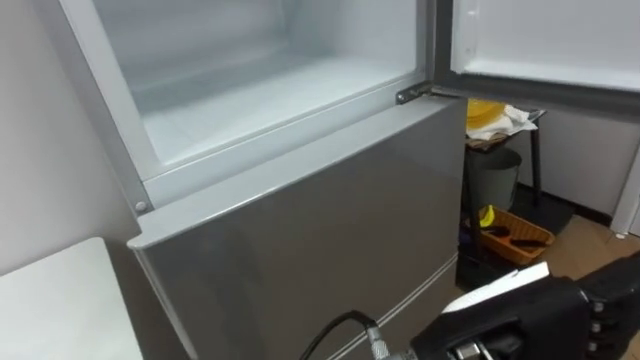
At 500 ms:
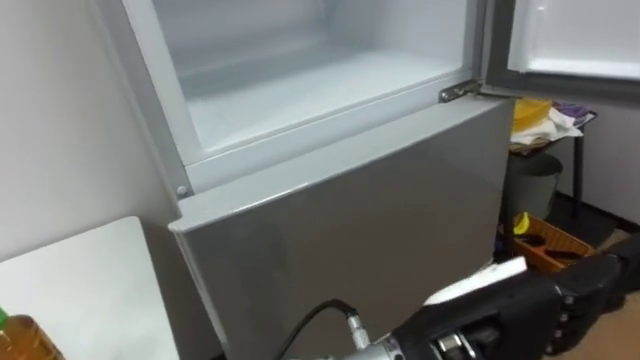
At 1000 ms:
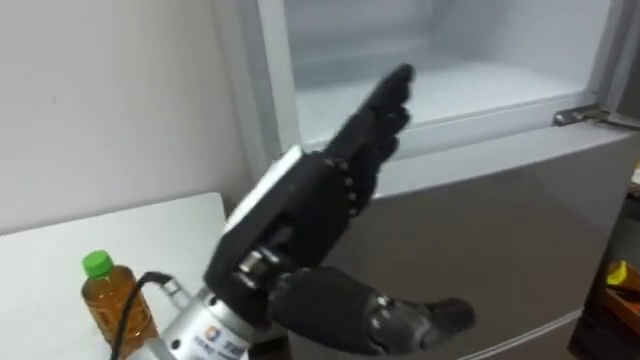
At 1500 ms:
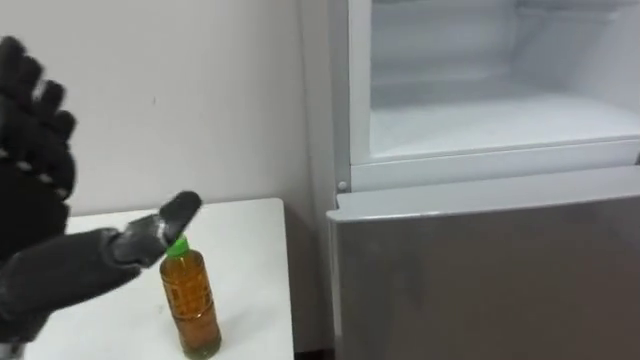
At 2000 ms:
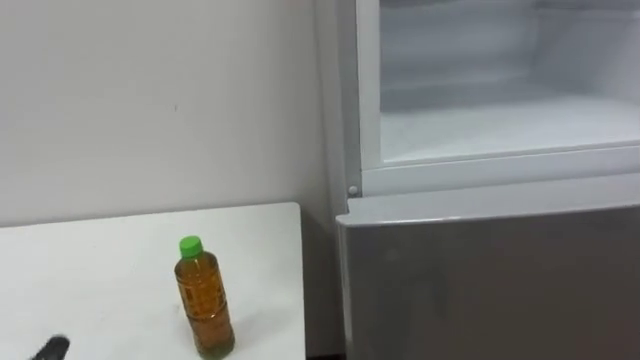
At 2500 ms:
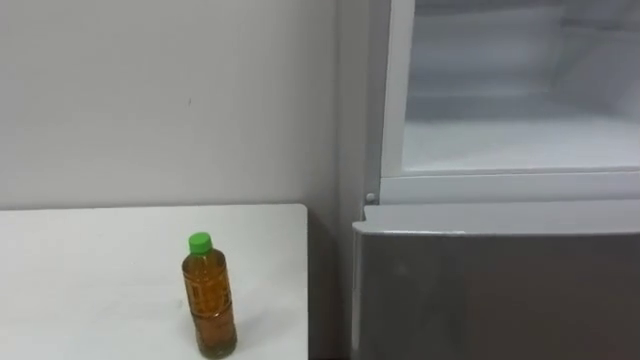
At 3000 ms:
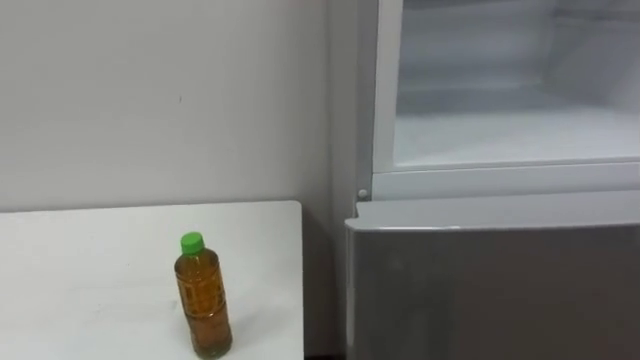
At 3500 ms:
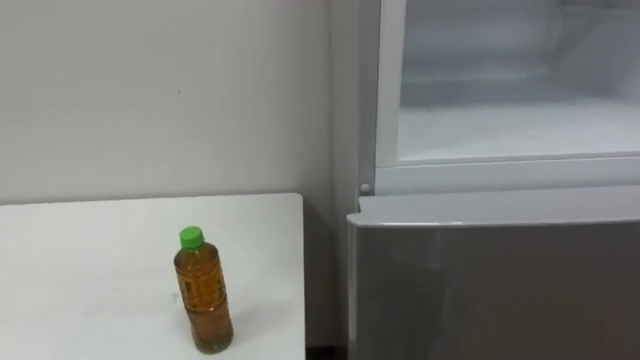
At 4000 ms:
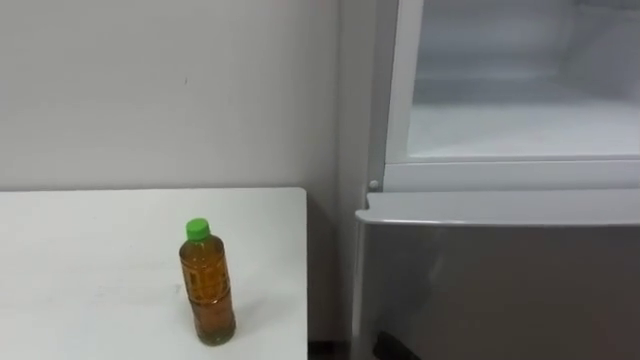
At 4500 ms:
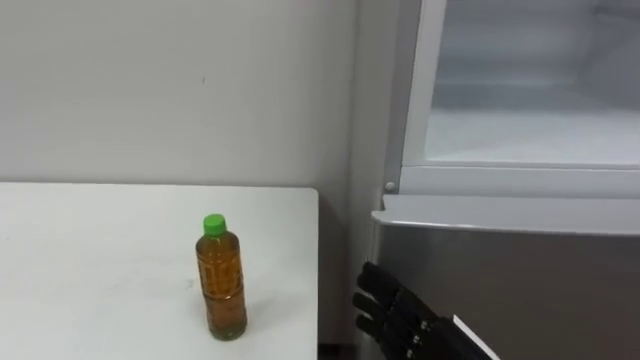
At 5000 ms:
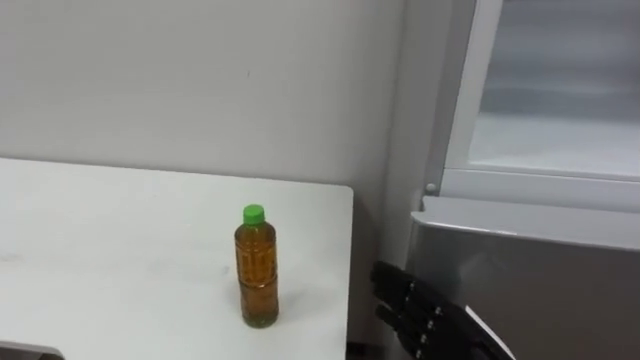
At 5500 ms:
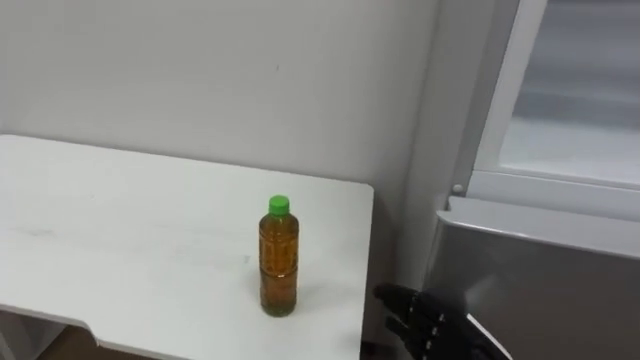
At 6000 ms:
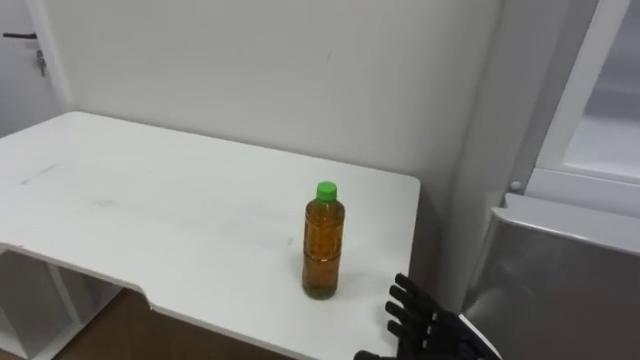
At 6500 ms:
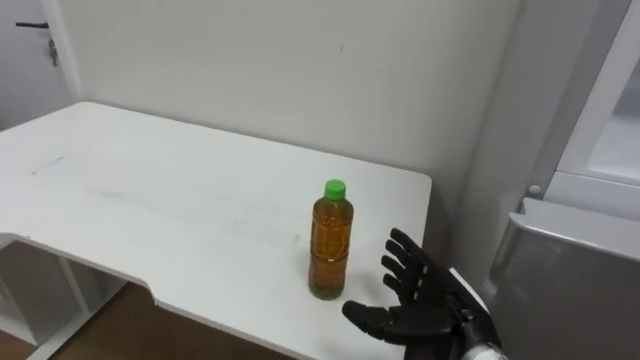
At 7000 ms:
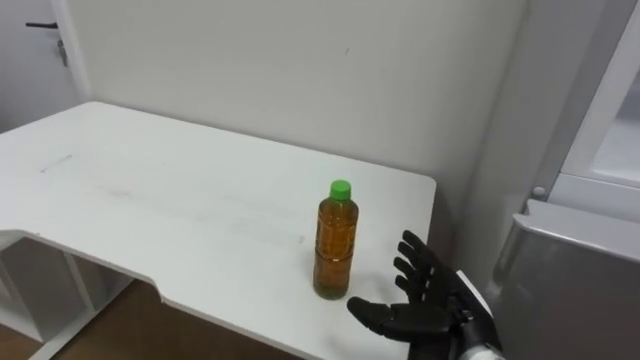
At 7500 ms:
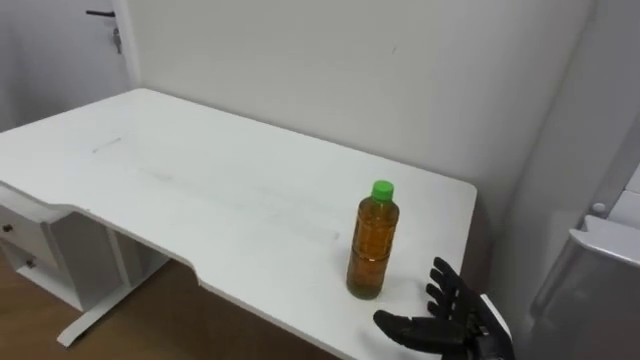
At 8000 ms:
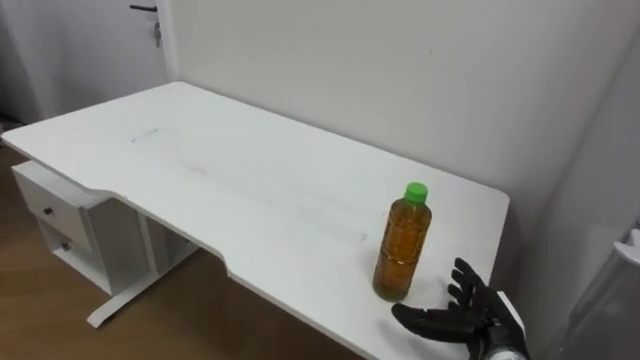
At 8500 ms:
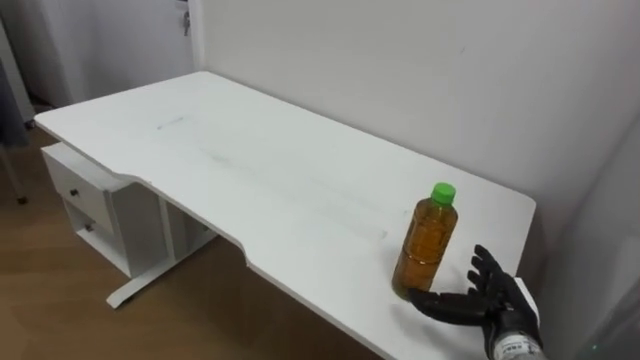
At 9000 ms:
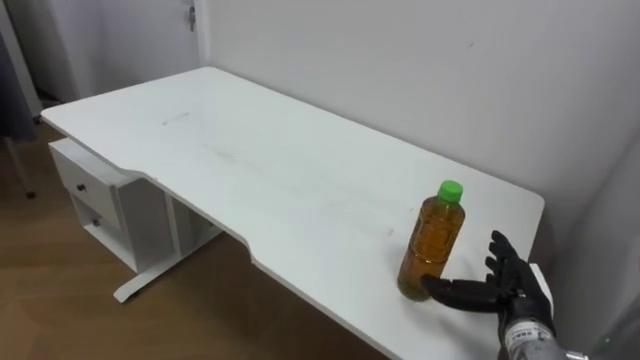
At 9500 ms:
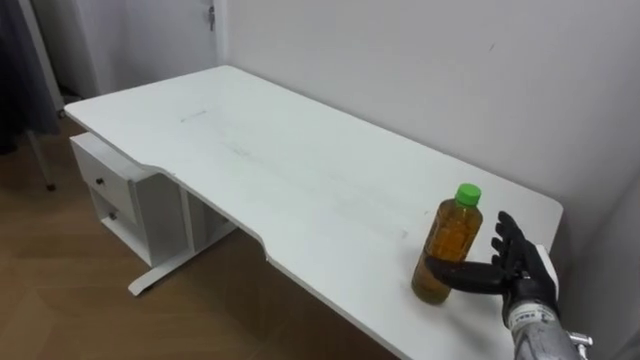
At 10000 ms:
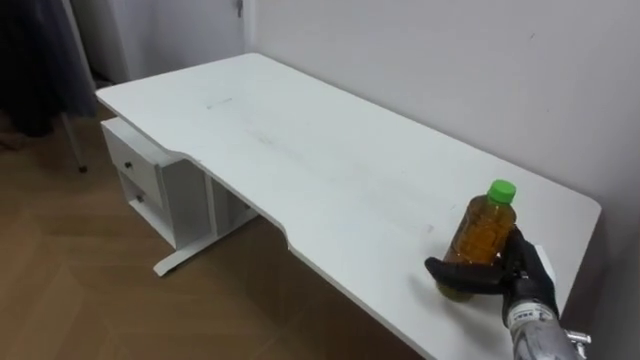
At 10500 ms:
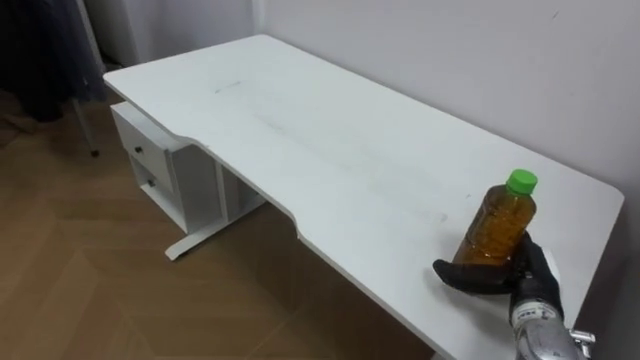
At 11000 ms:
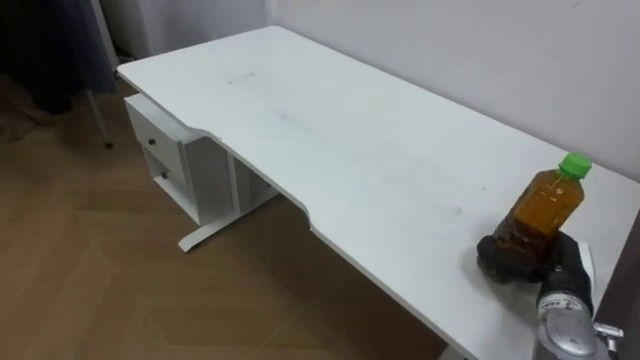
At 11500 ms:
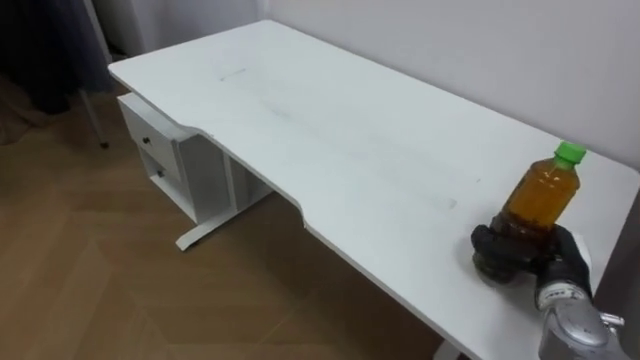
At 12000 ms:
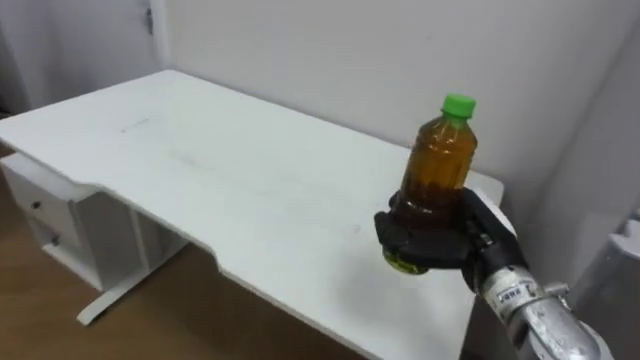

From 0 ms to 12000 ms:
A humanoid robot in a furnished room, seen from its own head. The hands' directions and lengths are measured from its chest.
Task of the whole recording: Open the upper refrigerator door, put the drink from the table into the refrigerator, and then close the refrigerator door.
From 6000 ms to 8000 ms: The right hand travels forward by roughly 5 cm.
From 8000 ms to 10000 ms: The right hand ends up approximately 5 cm from where it was.
From 10000 ms to 12000 ms: The right hand moves upward and to the left, approximately 10 cm, and closes.

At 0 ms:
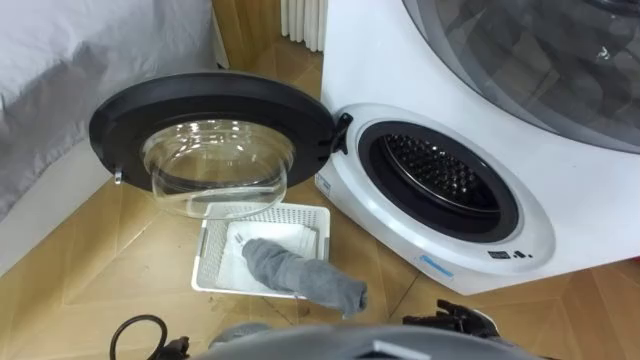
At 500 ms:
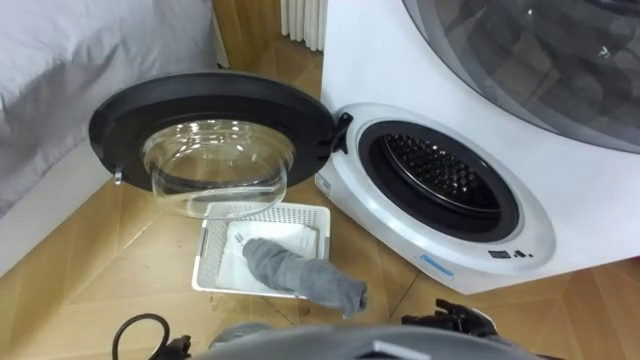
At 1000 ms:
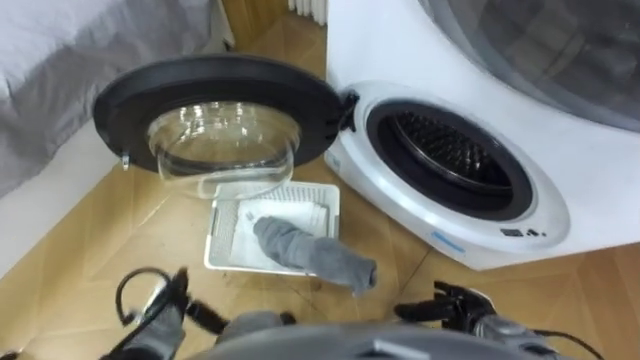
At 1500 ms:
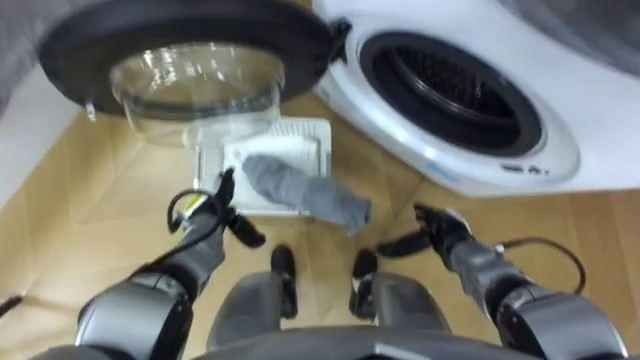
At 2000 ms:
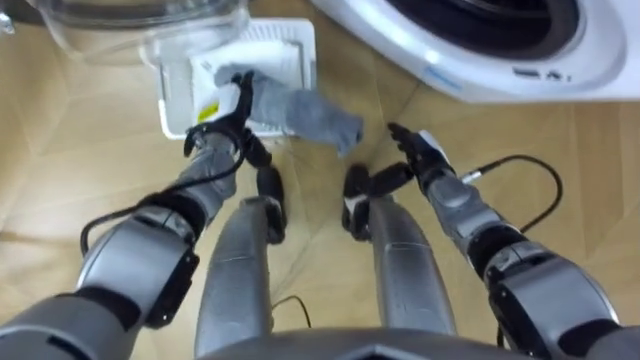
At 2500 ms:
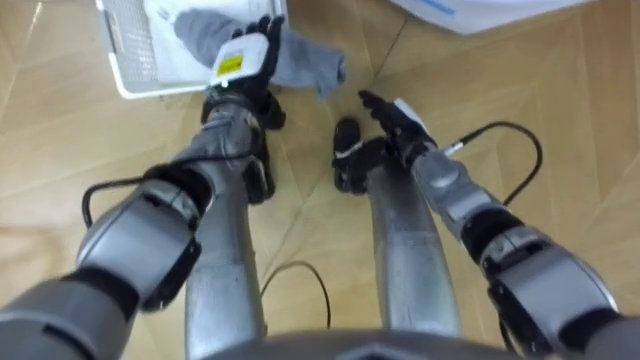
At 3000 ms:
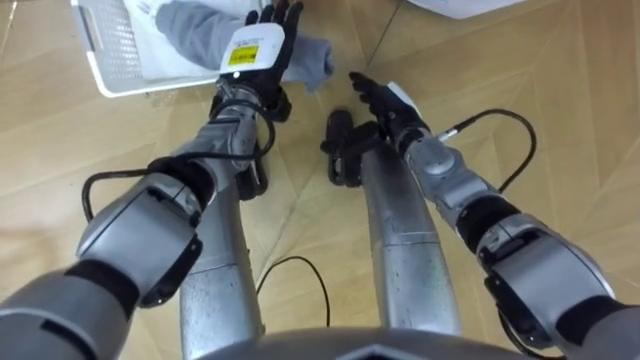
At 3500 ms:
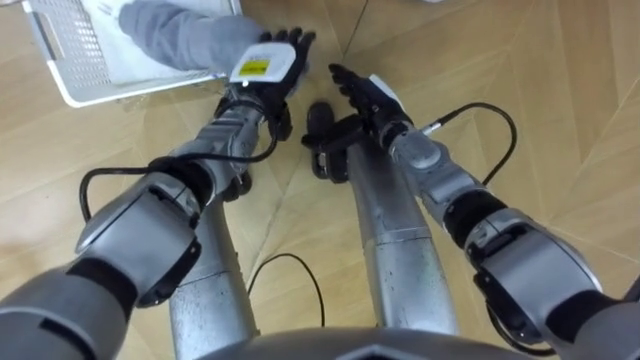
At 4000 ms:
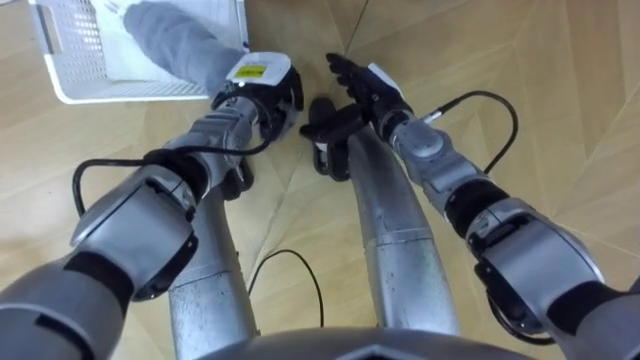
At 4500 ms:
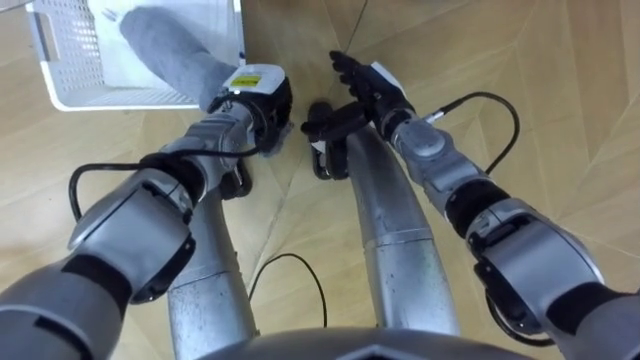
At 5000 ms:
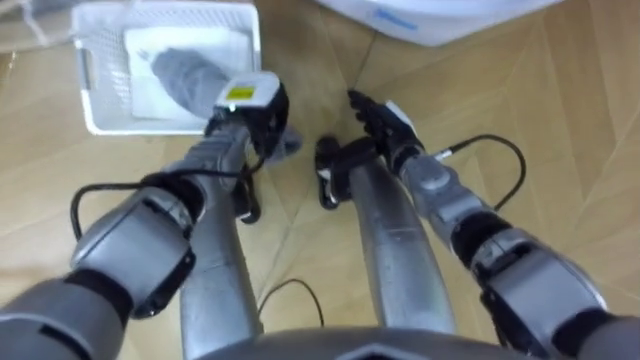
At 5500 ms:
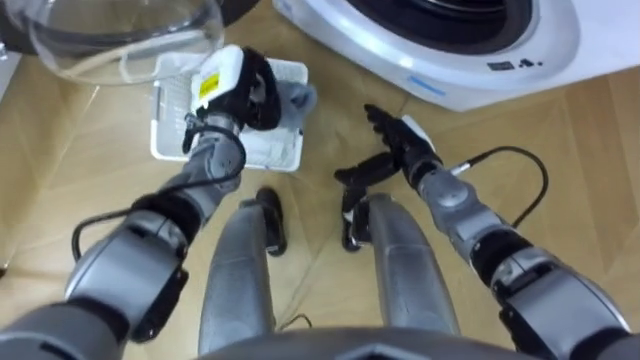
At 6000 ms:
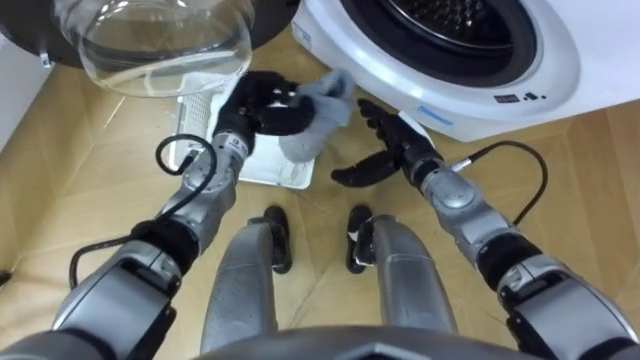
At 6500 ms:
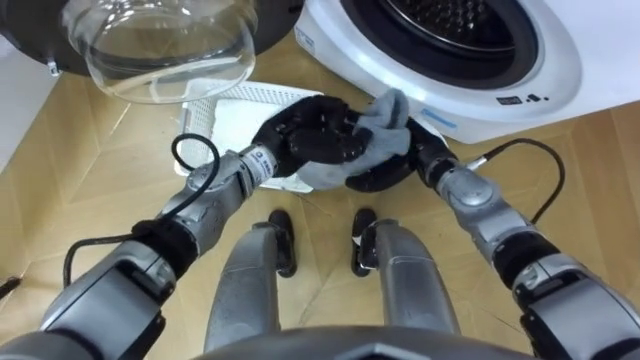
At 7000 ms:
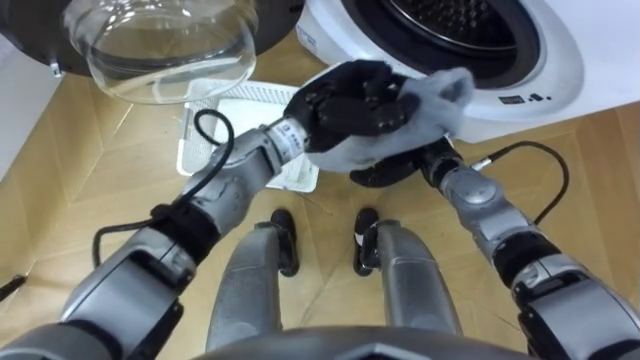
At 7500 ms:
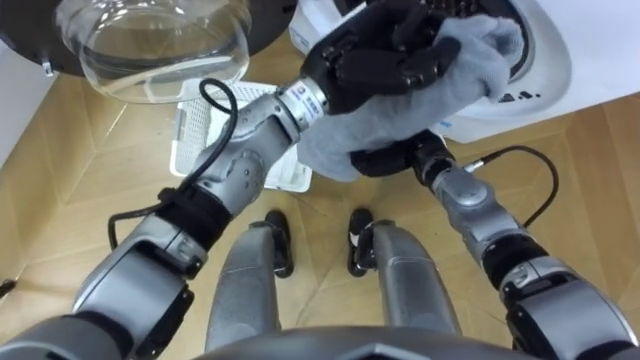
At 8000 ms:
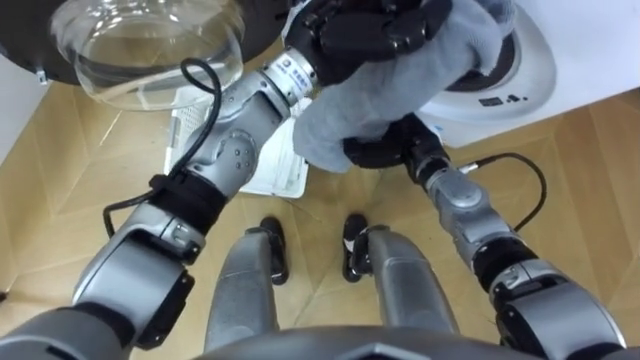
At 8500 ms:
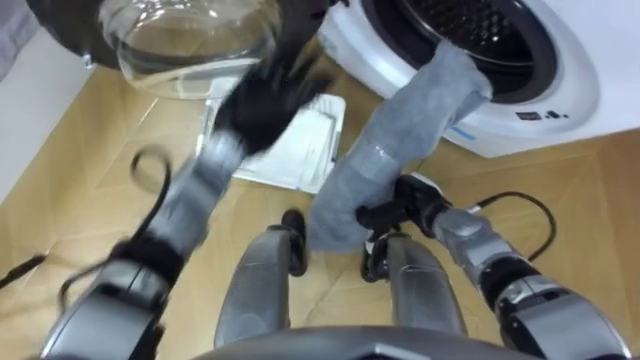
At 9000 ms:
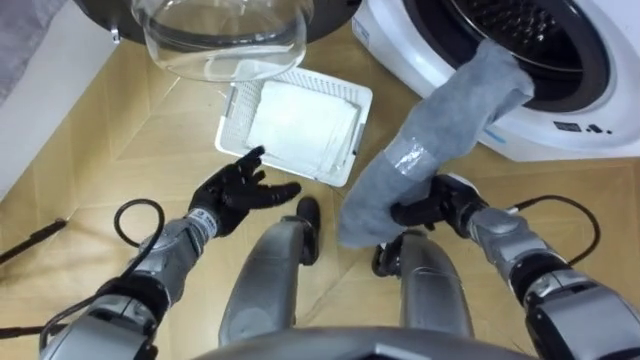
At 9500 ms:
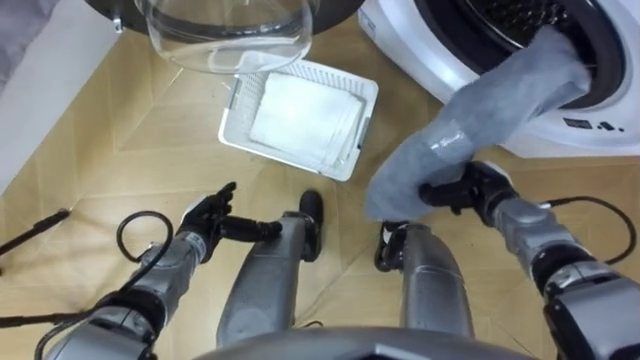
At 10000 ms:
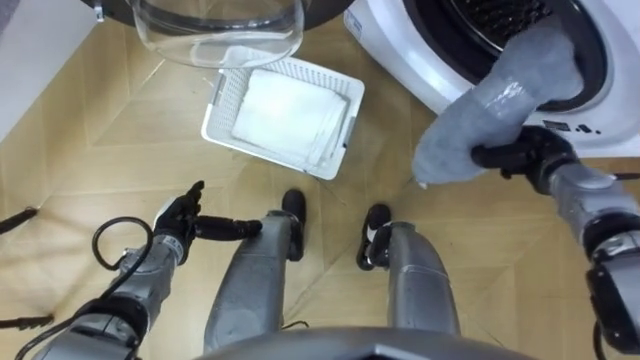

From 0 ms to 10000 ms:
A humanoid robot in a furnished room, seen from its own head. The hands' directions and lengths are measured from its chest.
Task of the whole recording: Take the towel from the basket and put it into the washing machine.
From 2000 ms to 4000 ms: The right hand heads upward, to the left and forward, covering approximately 15 cm. The left hand moves to the right, approximately 5 cm, and closes its fingers.
From 4000 ms to 6000 ms: The right hand is displaced to the right by some 5 cm.
From 6000 ms to 8000 ms: The right hand closes. Meanwhile the left hand moves upward and to the right, roughly 20 cm.
From 8000 ms to 10000 ms: The right hand travels to the right by approximately 20 cm.
